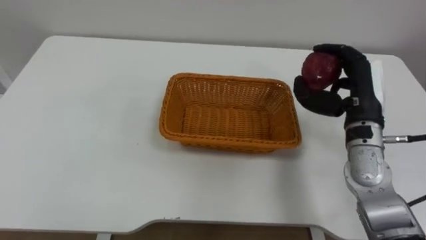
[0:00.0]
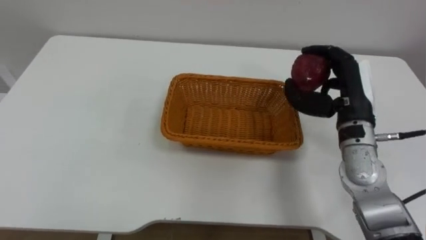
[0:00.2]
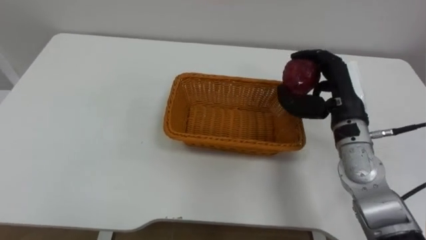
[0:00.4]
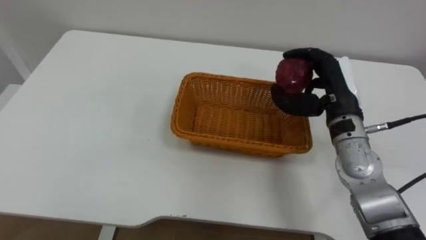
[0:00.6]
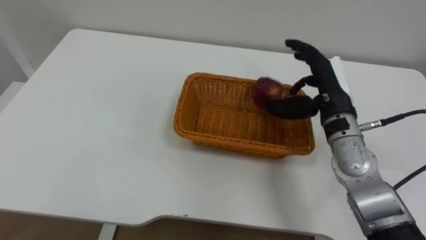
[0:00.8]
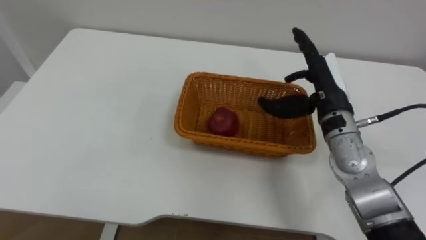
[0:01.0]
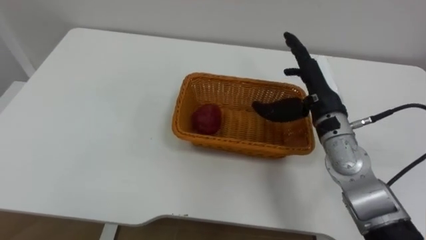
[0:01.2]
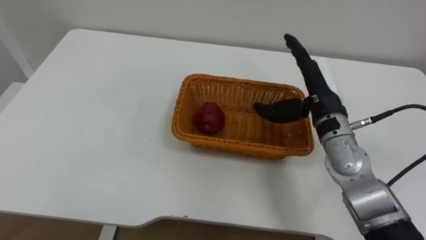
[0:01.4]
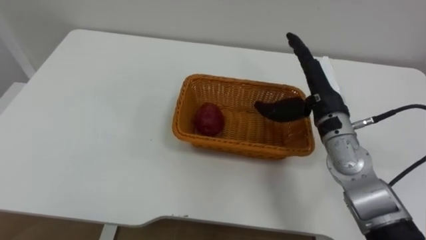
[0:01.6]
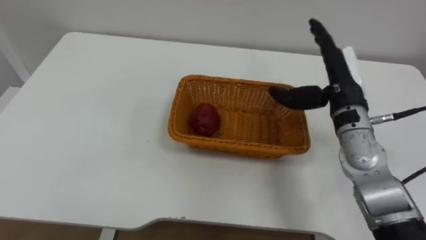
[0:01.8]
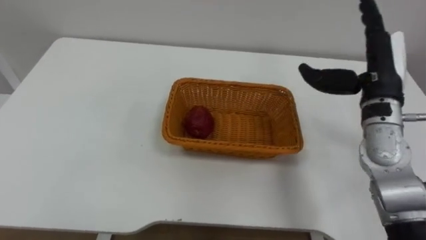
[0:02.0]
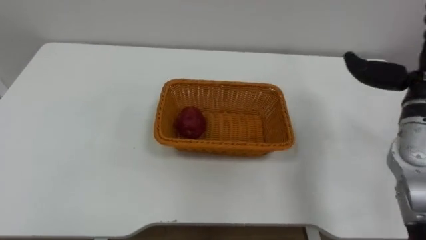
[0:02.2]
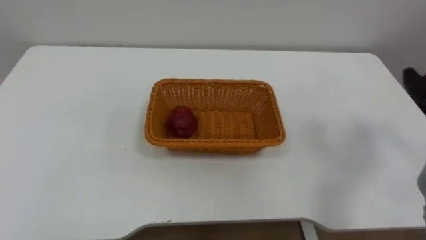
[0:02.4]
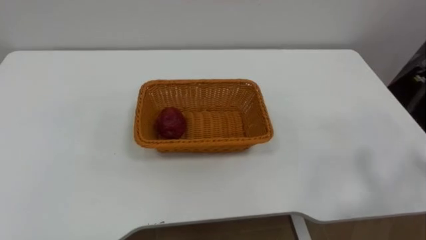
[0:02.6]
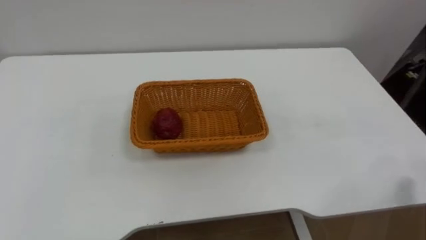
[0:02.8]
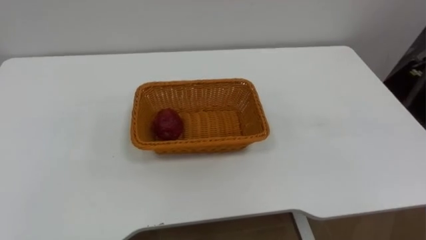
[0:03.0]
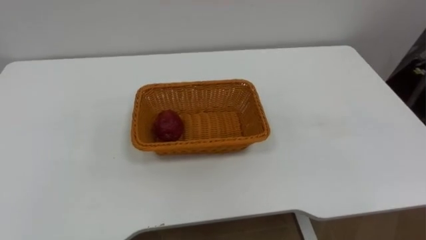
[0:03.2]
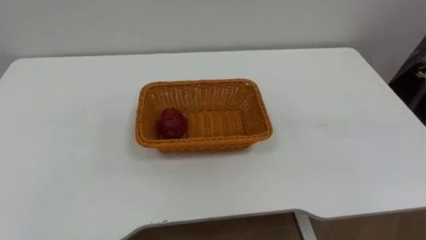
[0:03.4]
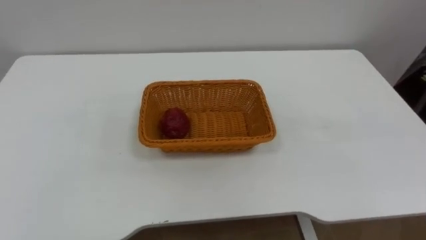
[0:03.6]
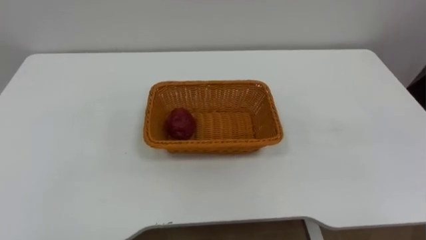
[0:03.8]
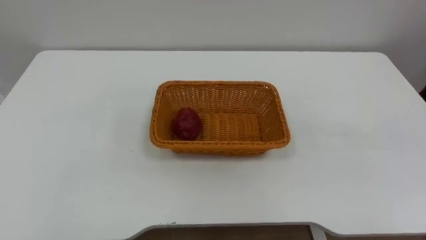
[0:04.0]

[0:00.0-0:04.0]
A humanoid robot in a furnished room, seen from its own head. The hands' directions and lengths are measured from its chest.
Task of the whole recording: Pick the apple and place it in the box.
0:00.0 to 0:01.4: The right hand goes some 5 cm to the left, and opens its fingers.

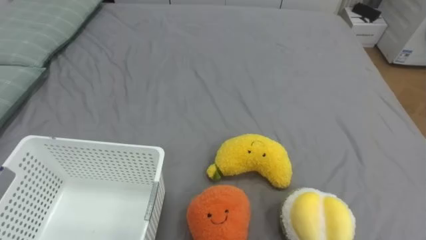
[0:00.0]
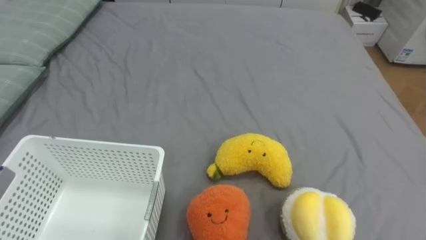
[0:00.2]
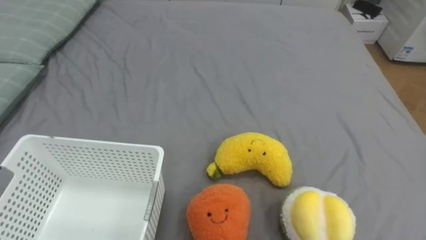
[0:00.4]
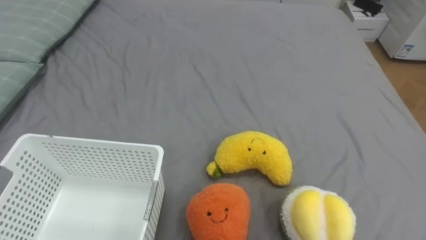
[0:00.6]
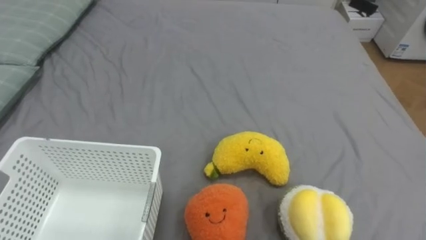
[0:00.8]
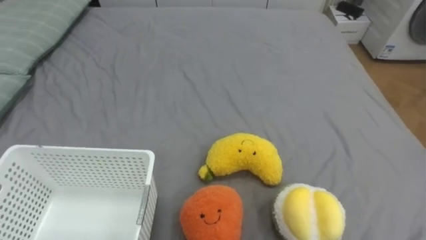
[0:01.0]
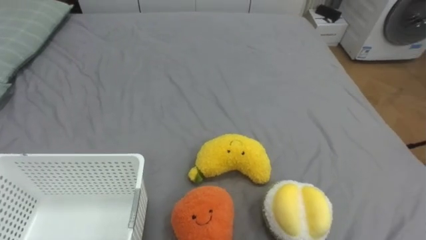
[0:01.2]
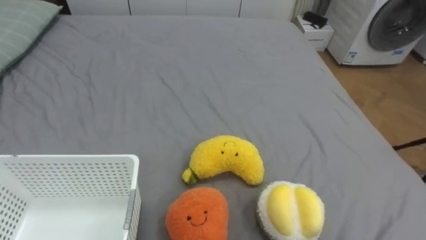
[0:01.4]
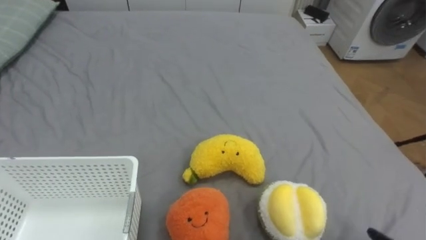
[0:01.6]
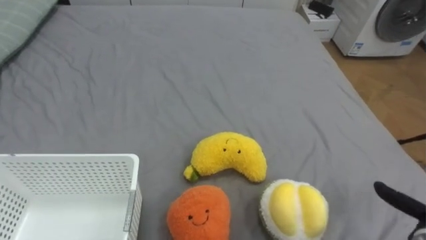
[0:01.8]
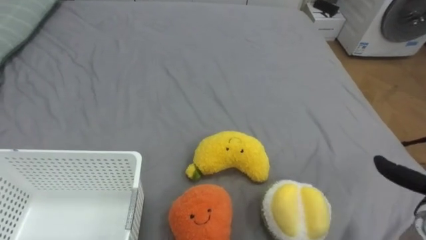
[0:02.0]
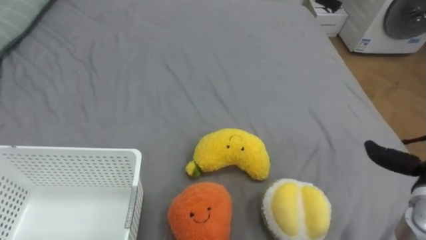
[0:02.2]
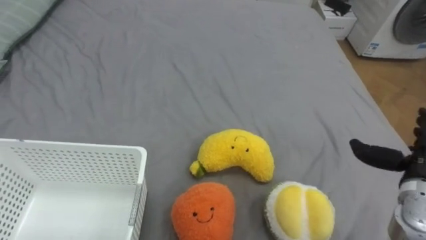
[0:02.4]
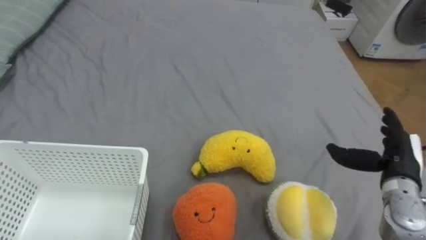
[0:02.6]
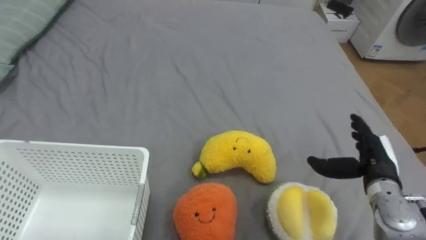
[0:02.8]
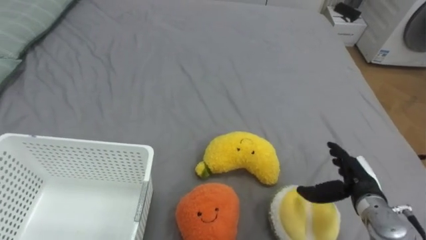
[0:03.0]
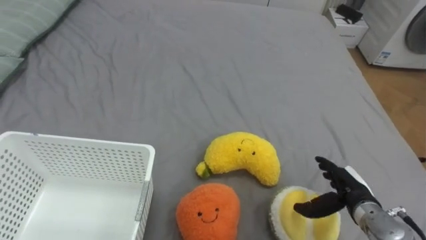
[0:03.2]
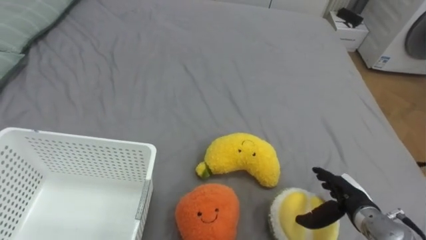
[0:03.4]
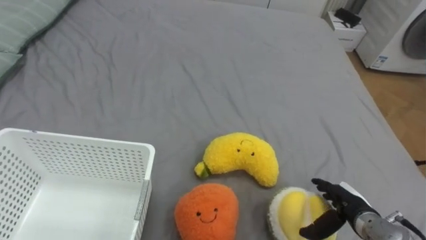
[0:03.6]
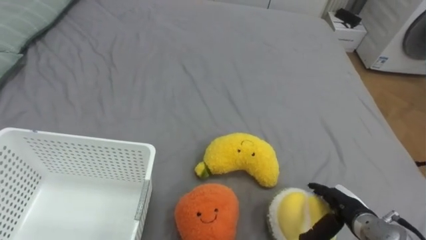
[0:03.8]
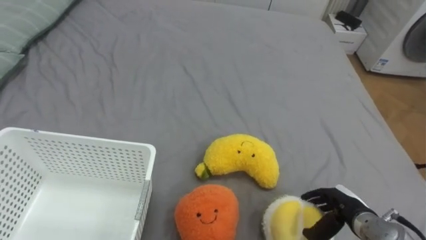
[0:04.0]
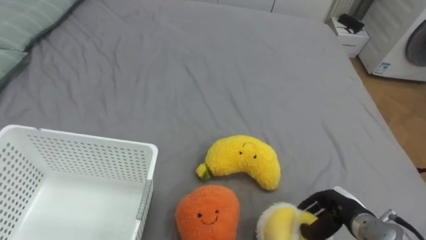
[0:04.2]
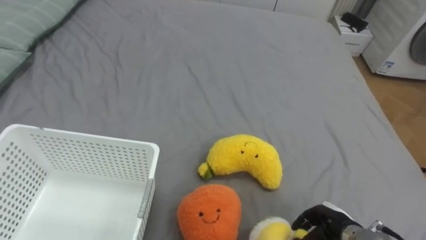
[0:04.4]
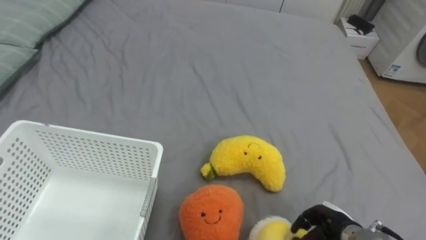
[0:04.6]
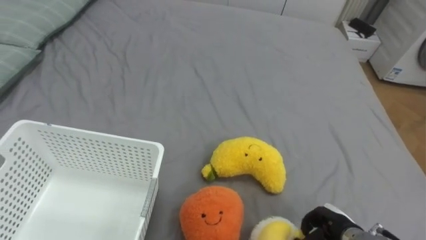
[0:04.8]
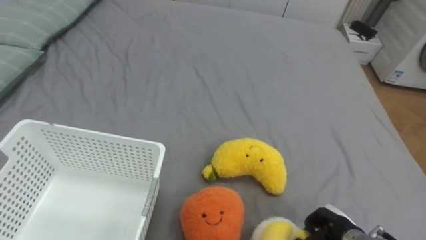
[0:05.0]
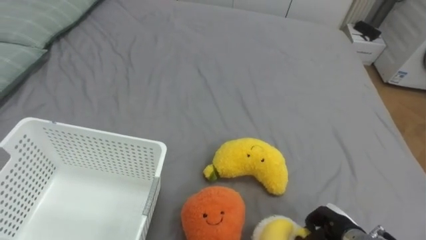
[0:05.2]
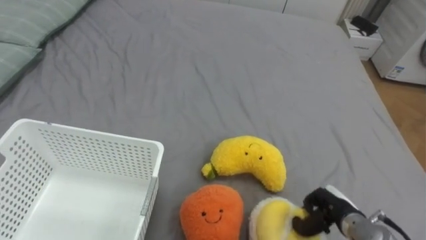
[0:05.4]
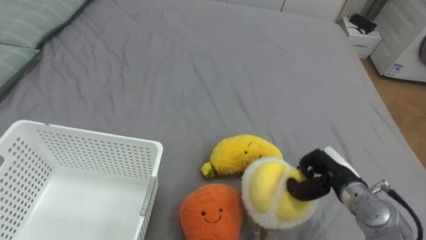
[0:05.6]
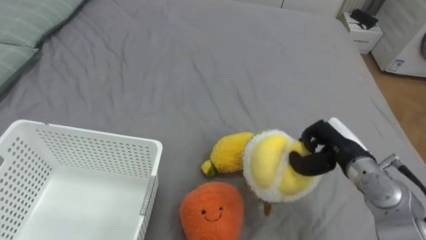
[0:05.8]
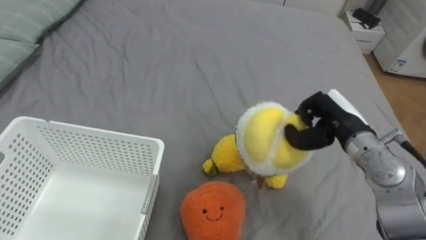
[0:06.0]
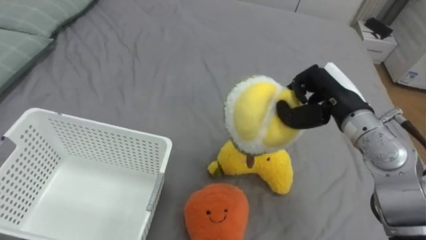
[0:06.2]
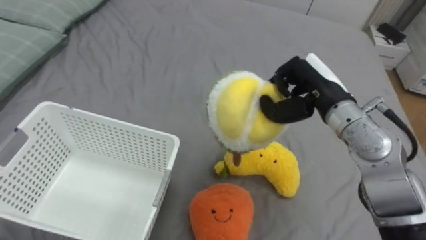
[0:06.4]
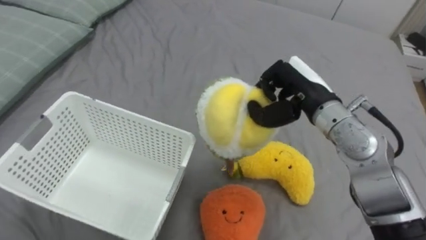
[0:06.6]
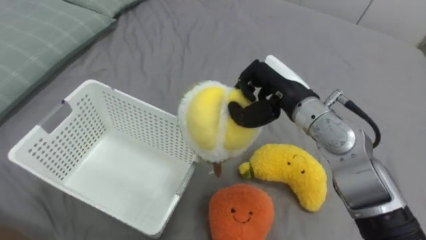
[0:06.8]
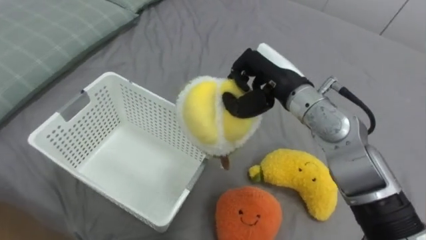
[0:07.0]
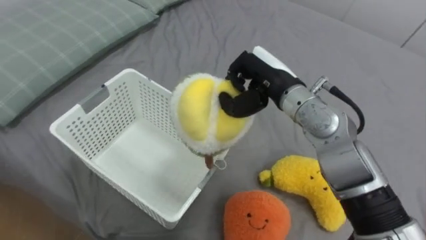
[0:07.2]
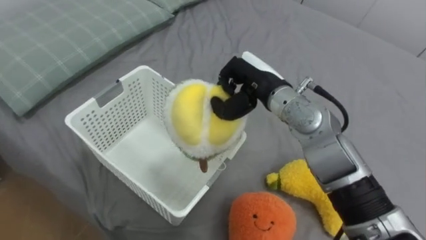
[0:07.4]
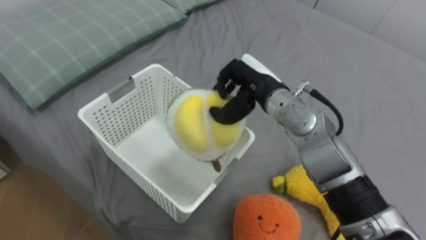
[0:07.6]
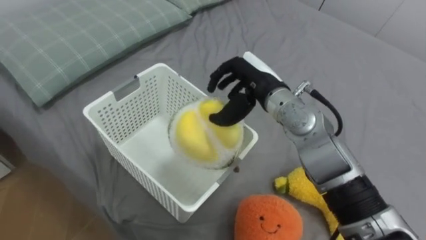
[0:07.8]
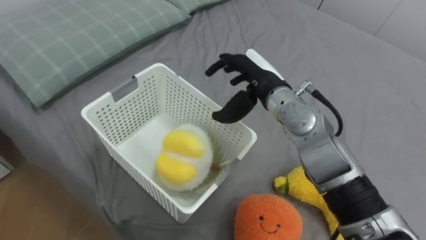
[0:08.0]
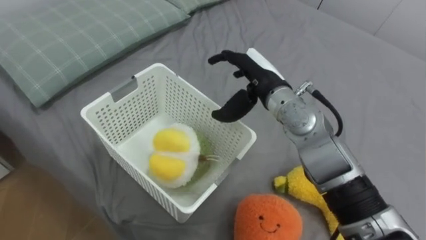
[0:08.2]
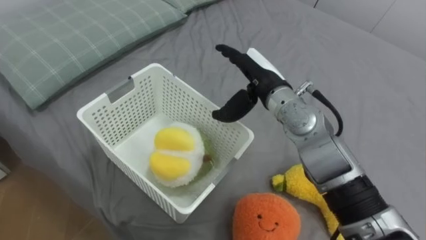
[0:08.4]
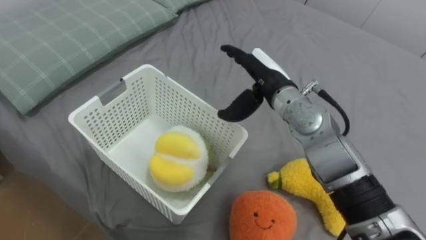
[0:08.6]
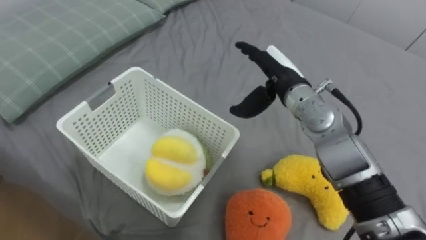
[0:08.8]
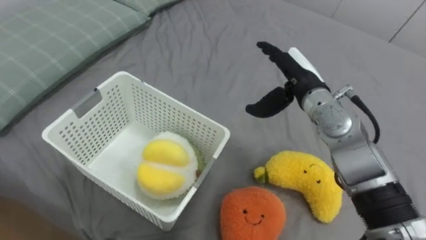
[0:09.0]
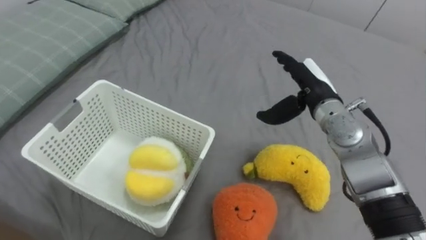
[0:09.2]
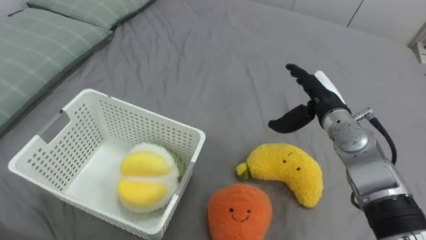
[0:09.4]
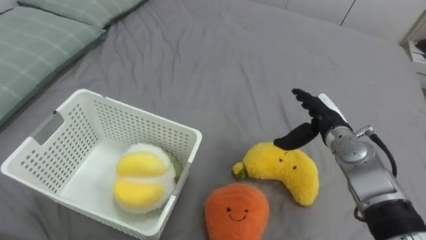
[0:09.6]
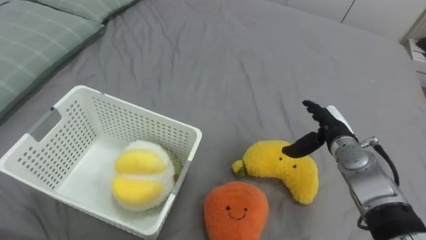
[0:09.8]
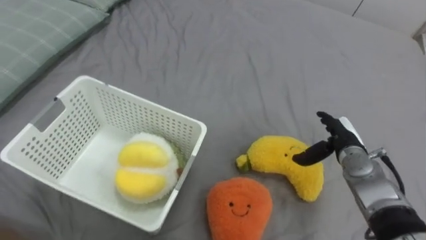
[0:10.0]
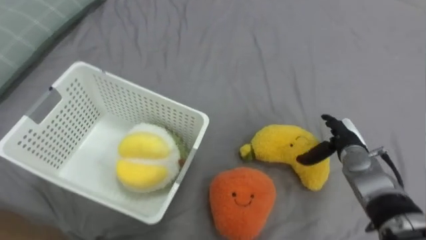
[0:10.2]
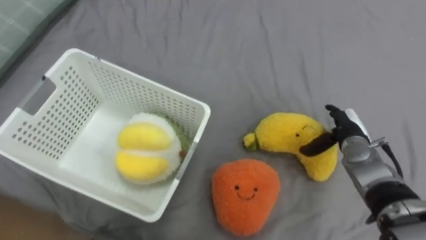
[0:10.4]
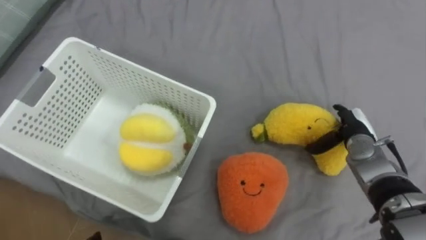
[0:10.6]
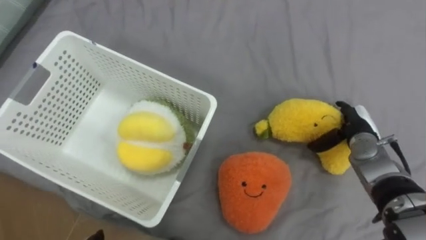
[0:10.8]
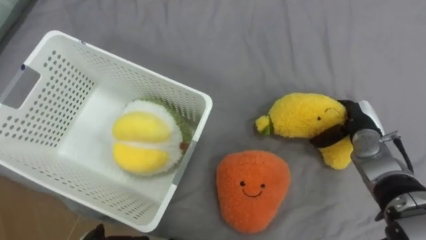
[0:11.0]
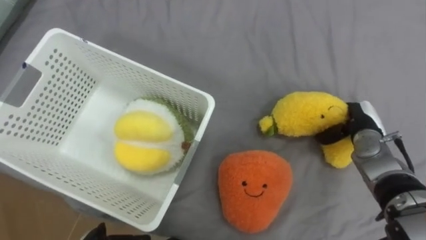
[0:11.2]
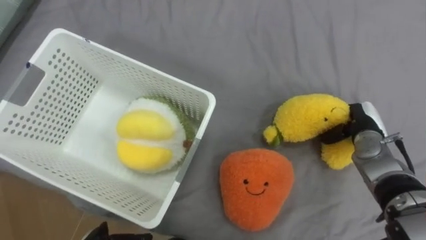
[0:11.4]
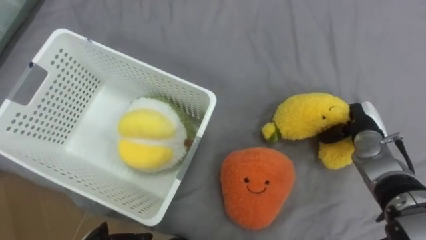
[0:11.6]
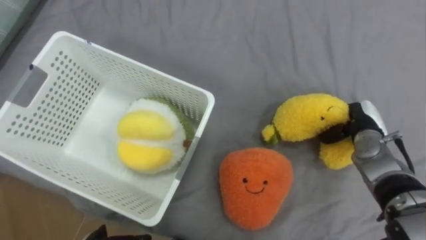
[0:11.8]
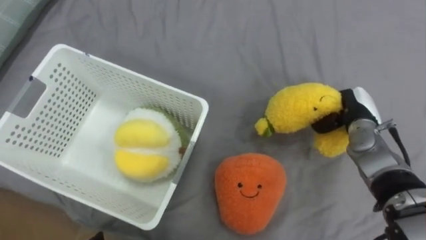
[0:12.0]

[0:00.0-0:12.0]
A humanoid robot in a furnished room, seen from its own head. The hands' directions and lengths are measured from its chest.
Task of the whole recording: Put the toys on the bed into the basket on the left.
0:03.0 to 0:04.4: The right hand is displaced downward and backward by roughly 10 cm, and closes up.
0:04.4 to 0:06.0: The right hand goes roughly 25 cm upward and forward.
0:06.0 to 0:07.6: The right hand moves to the left, approximately 15 cm.
0:07.6 to 0:09.0: The right hand moves to the right, roughly 10 cm, and opens.
0:09.0 to 0:10.4: The right hand heads downward and to the right, covering approximately 20 cm.
0:10.4 to 0:12.0: The right hand closes.

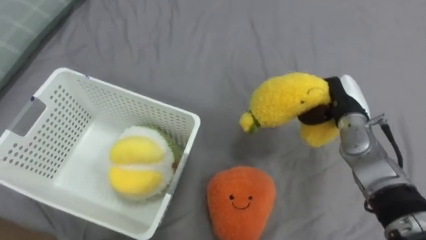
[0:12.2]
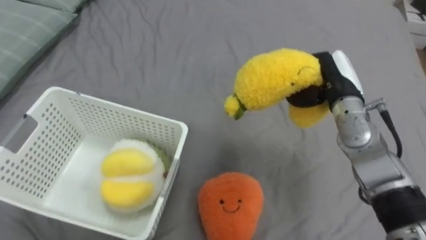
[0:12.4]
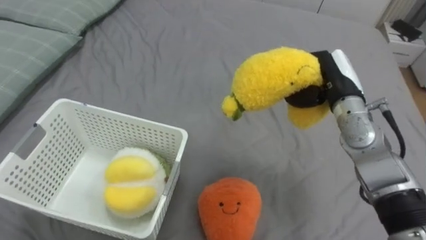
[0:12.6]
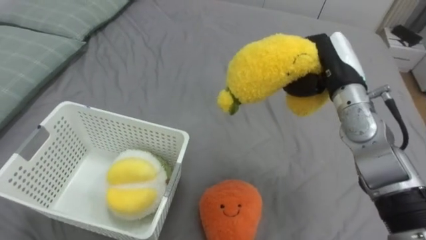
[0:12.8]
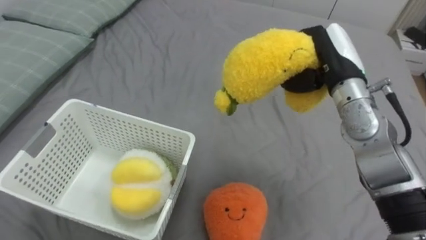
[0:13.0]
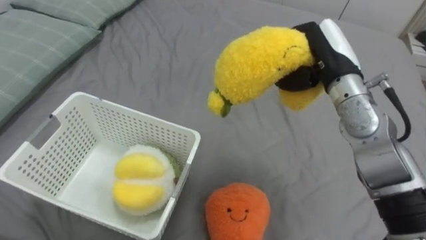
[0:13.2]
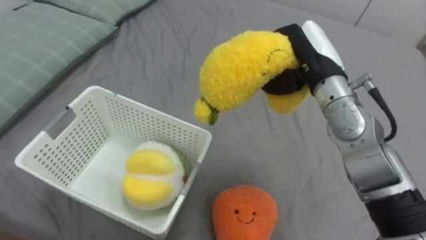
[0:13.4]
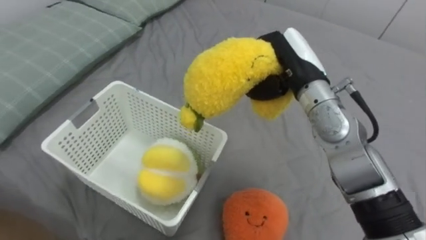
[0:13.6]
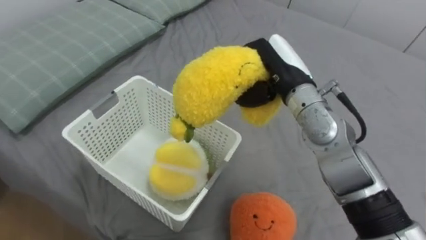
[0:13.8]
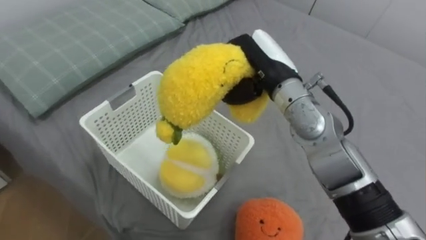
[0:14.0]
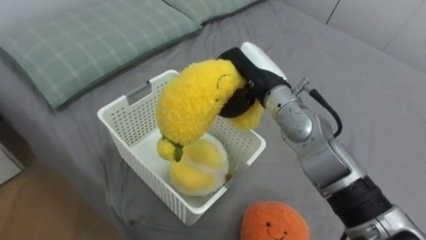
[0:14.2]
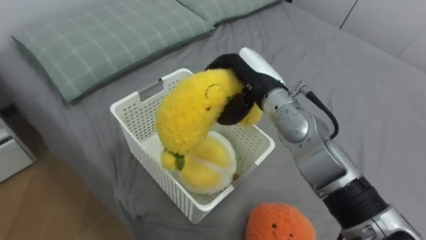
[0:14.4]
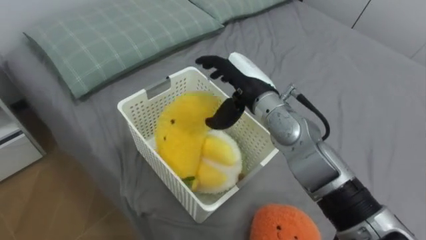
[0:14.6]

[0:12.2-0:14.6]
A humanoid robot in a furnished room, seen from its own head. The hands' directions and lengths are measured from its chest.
Task of the whole recording: Put the toys on the bed into the basket on the left.
0:12.2 to 0:13.4: The right hand travels upward and to the left by about 15 cm.
0:13.4 to 0:14.6: The right hand goes roughly 10 cm to the left, and opens.
